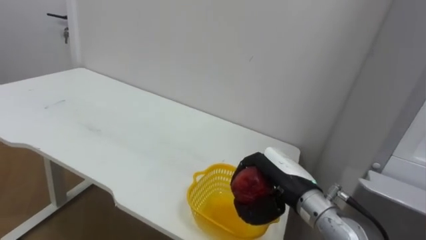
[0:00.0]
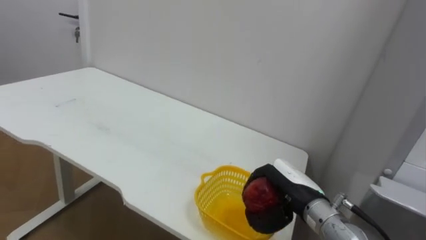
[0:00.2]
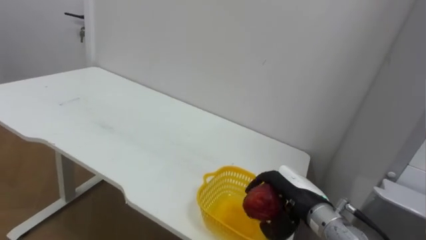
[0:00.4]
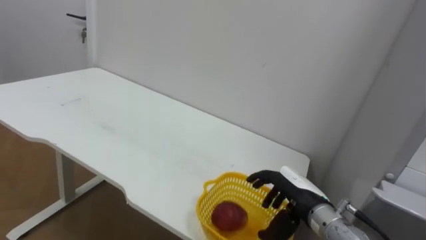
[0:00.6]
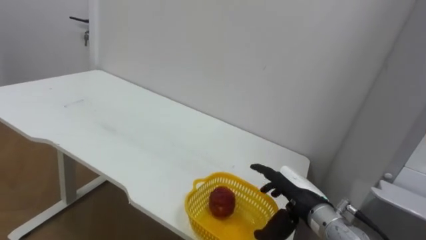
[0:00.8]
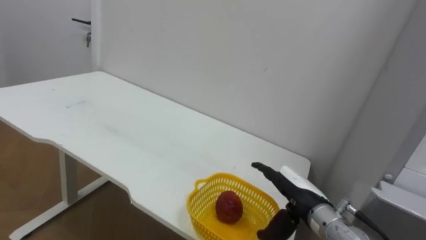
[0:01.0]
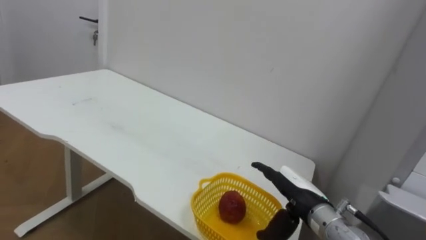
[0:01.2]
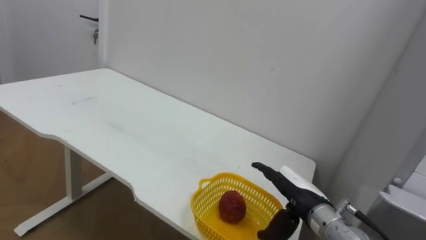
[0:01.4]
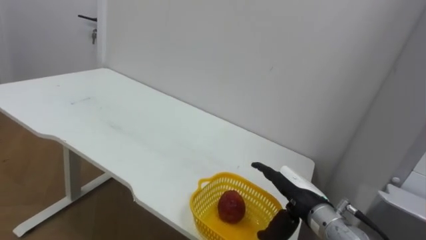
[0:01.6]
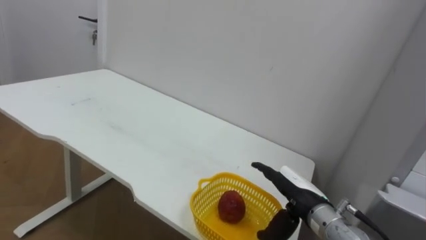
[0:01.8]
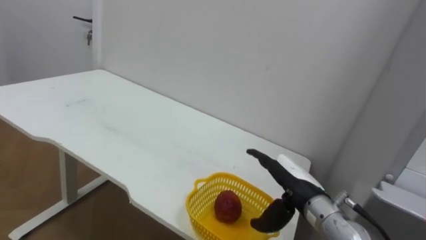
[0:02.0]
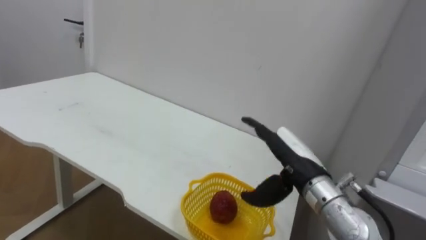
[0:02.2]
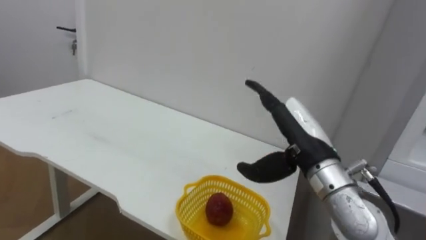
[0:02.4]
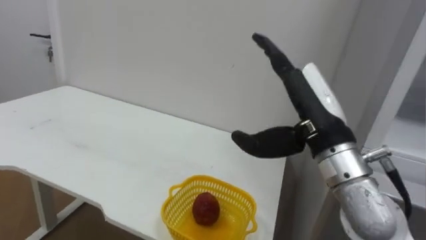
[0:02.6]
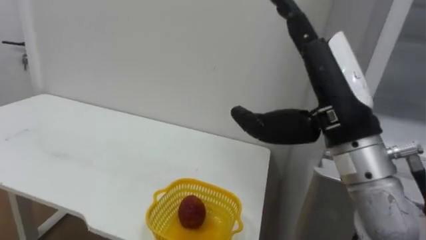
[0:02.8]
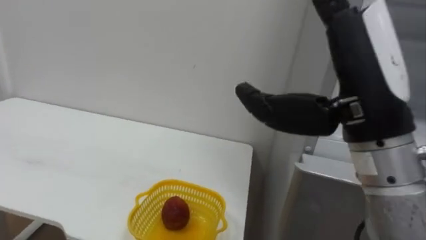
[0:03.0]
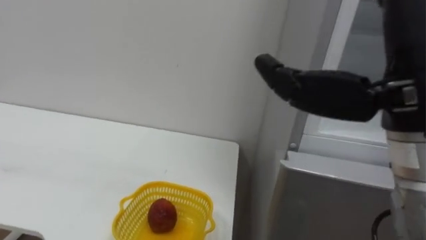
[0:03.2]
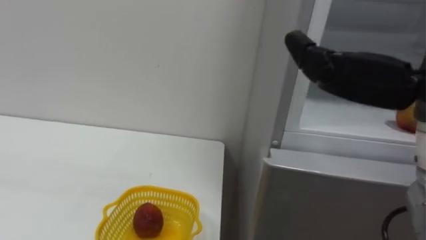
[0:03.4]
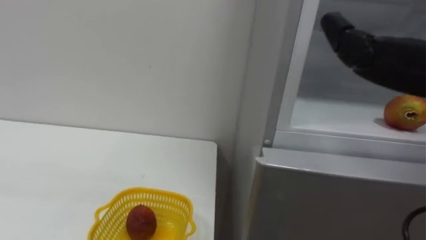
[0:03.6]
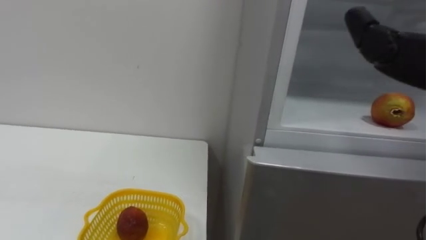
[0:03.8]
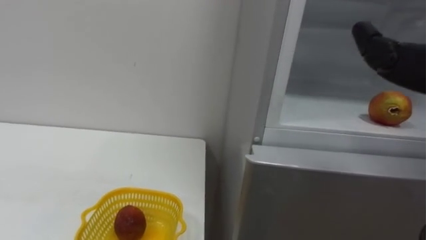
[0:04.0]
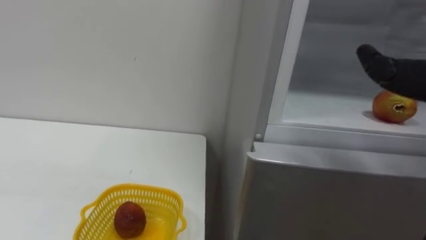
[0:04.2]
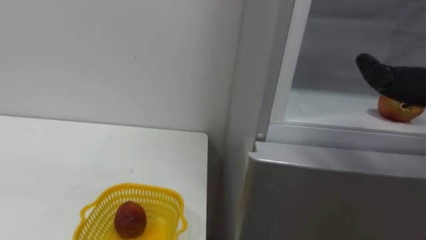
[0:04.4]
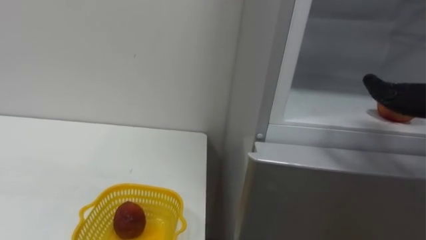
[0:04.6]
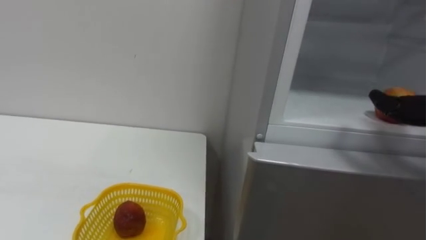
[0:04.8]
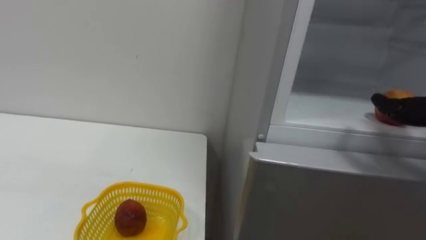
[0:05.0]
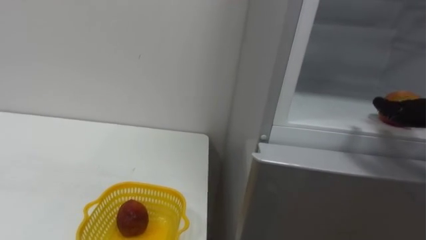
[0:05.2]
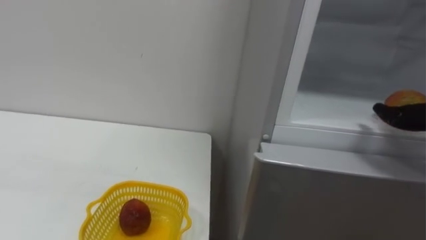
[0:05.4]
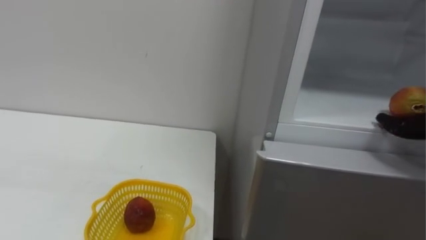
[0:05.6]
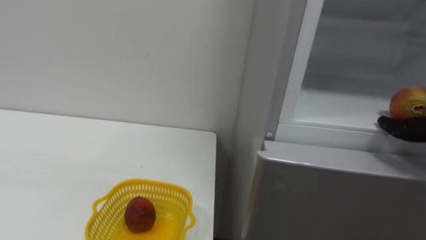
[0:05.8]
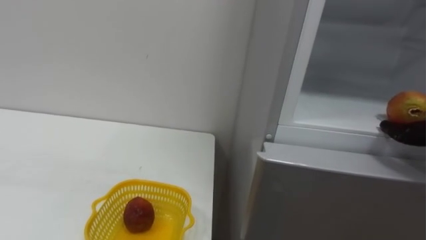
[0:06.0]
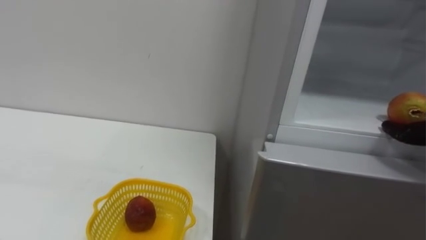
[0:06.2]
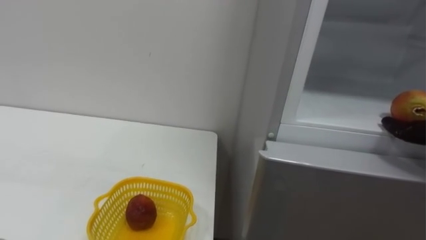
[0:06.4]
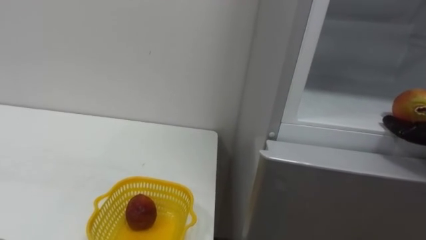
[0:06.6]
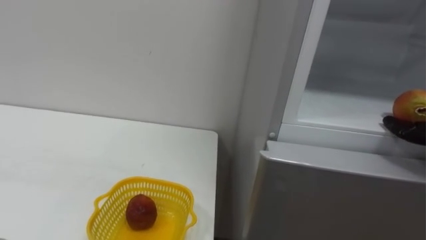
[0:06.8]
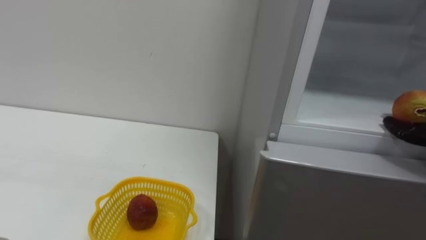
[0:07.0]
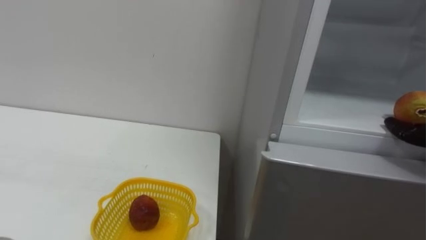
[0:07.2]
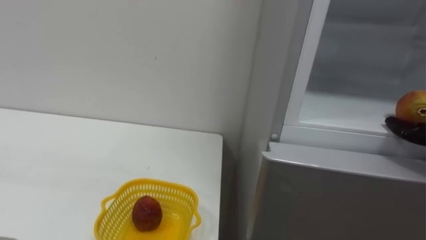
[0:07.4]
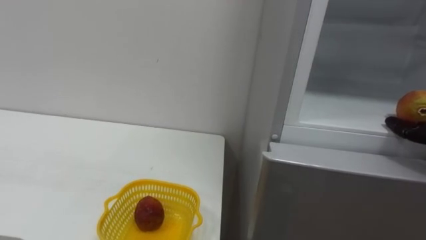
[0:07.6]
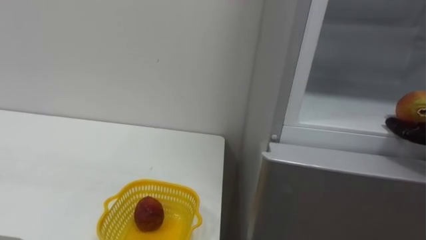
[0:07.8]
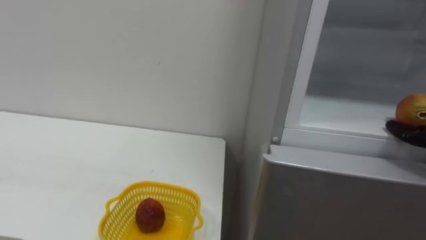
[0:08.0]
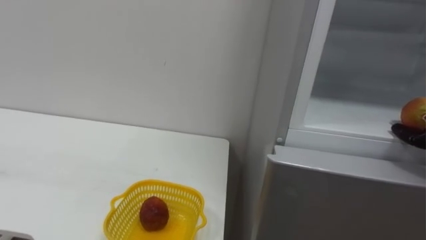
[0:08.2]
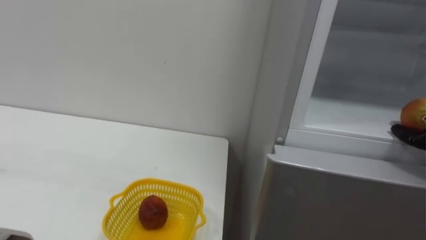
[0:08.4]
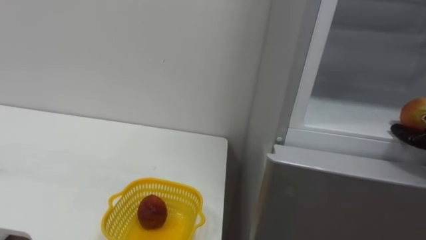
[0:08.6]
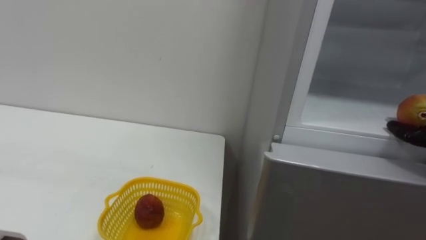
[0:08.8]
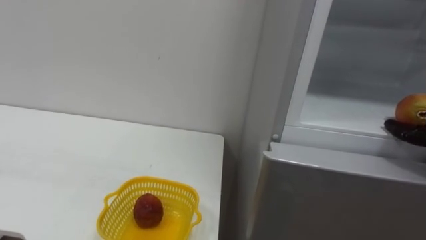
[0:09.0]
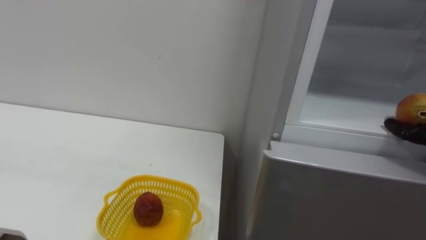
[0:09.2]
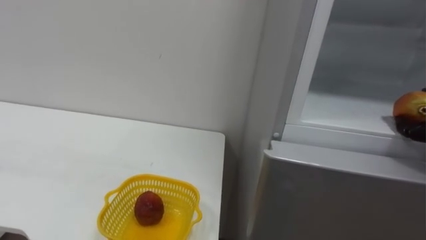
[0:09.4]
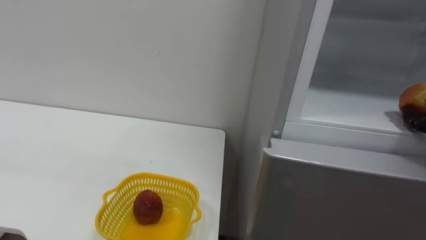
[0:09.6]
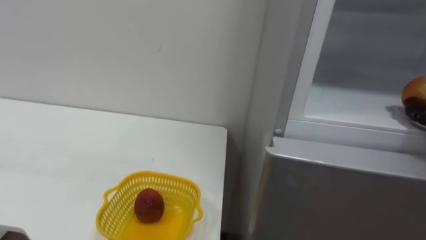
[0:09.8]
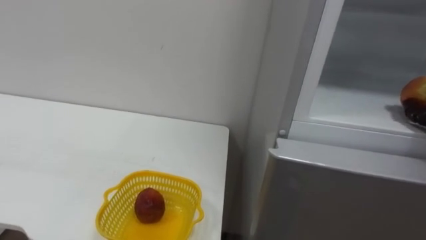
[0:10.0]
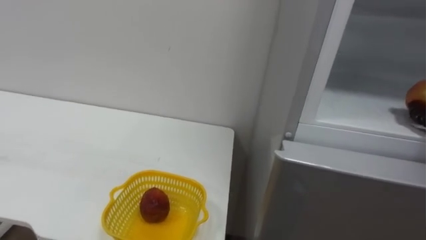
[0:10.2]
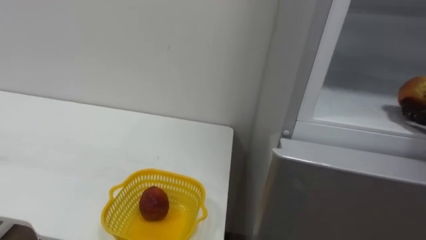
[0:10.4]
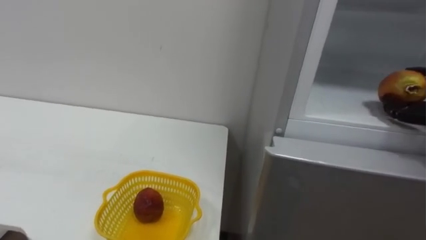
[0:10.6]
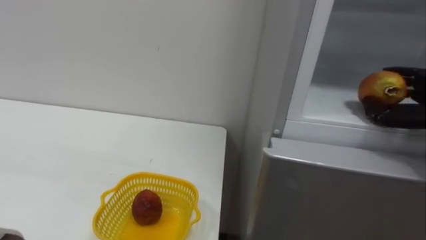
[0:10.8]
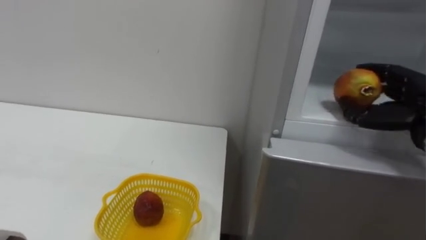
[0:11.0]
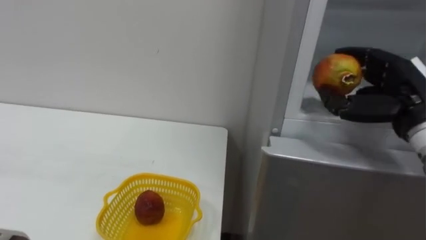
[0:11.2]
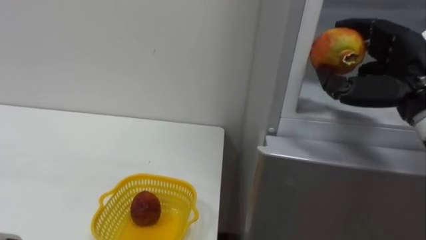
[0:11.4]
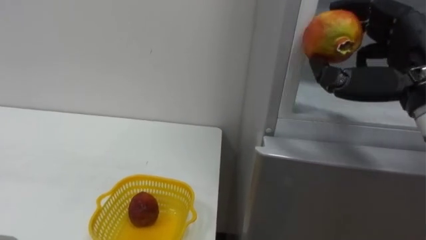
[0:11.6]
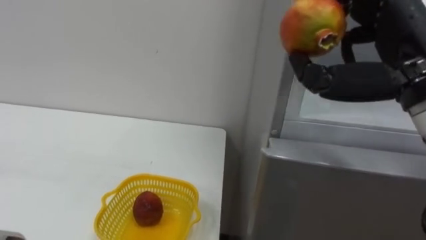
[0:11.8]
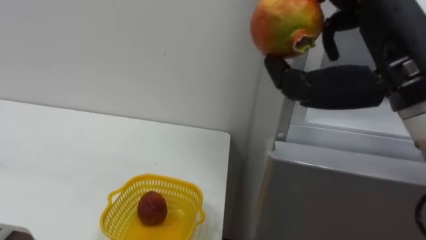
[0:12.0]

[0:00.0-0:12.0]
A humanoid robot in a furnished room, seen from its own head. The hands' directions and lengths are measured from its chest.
Task of the whole recording: Open the refrigerator door, take out the apple and the pomegranate, place them in the fruit basket on the left, and close the refrigerator door.
0:00.0 to 0:01.6: The right hand shifts by some 5 cm, and opens its fingers.
0:01.6 to 0:03.0: The right hand shifts roughly 30 cm upward and backward.

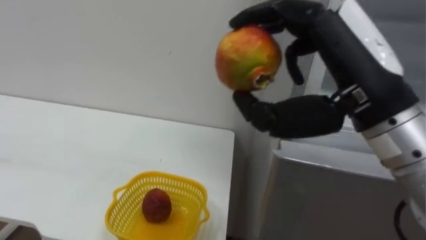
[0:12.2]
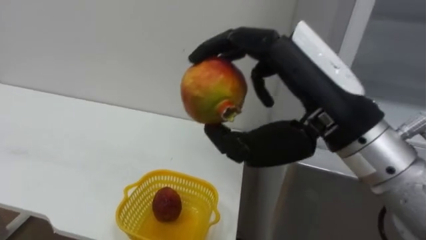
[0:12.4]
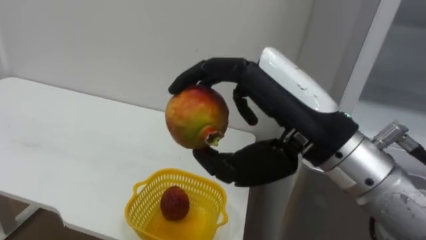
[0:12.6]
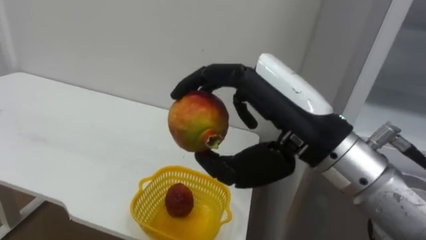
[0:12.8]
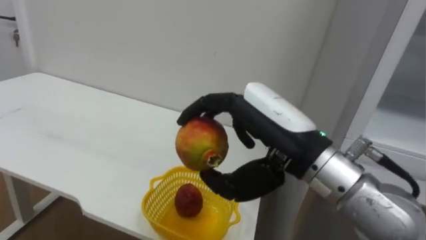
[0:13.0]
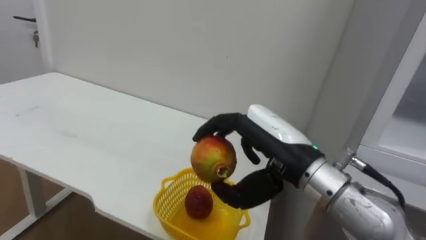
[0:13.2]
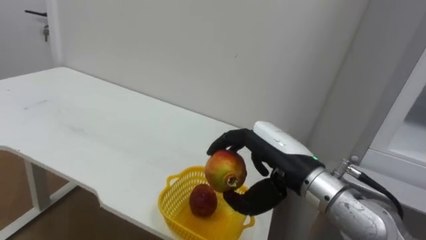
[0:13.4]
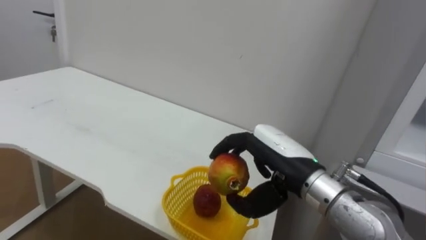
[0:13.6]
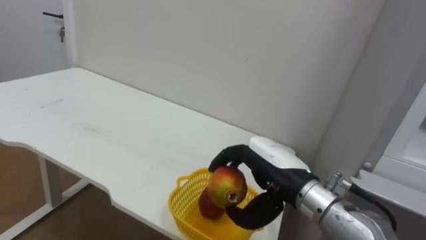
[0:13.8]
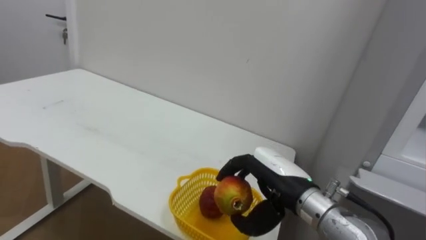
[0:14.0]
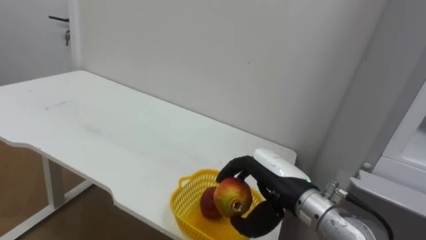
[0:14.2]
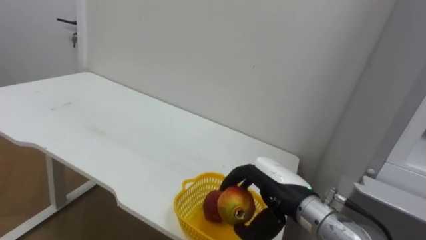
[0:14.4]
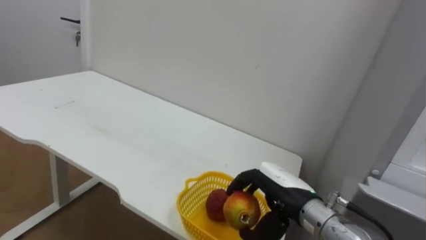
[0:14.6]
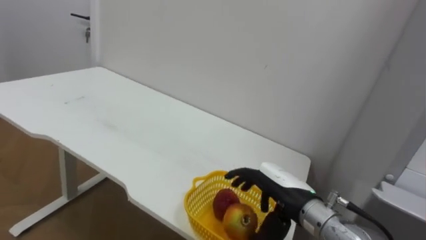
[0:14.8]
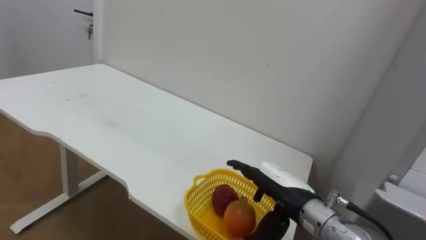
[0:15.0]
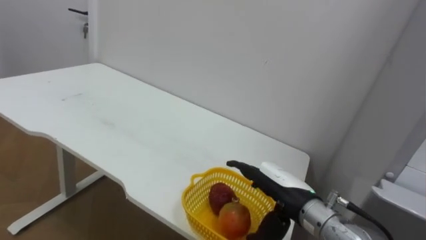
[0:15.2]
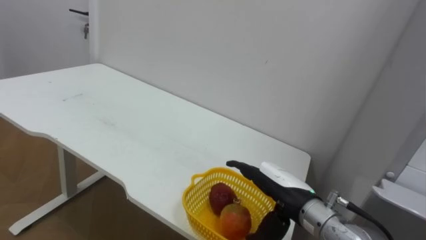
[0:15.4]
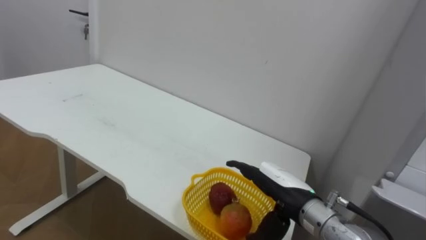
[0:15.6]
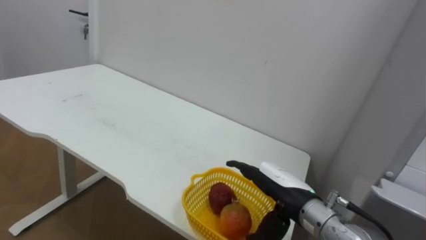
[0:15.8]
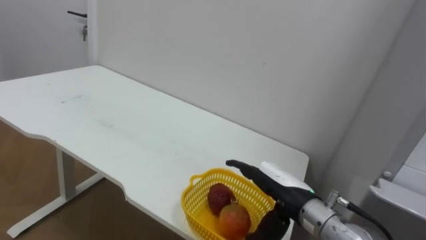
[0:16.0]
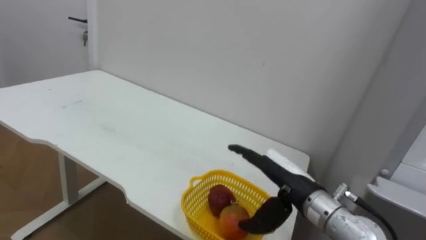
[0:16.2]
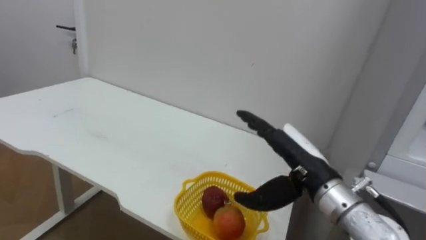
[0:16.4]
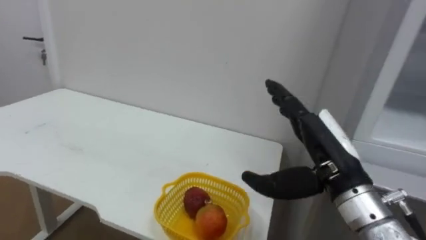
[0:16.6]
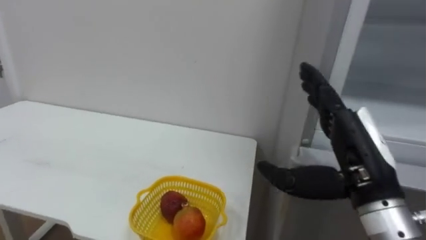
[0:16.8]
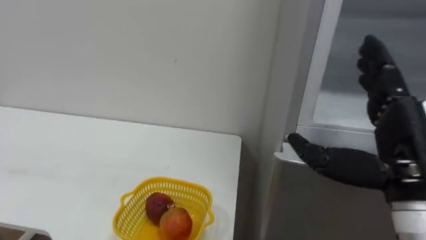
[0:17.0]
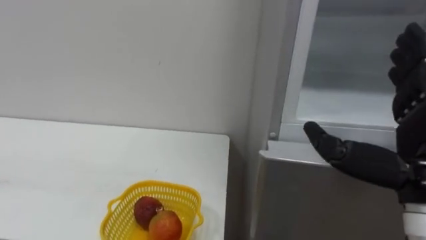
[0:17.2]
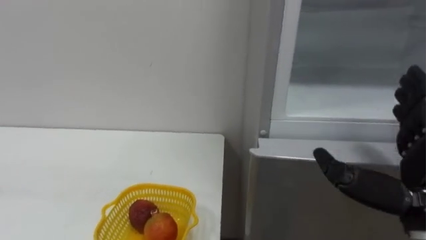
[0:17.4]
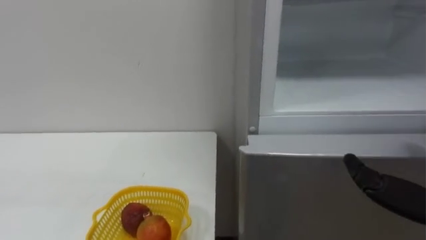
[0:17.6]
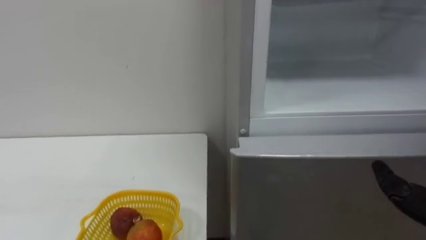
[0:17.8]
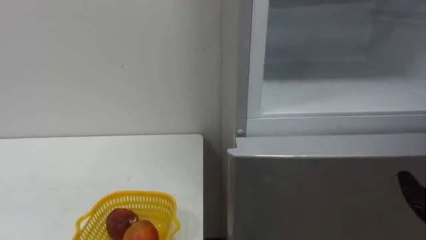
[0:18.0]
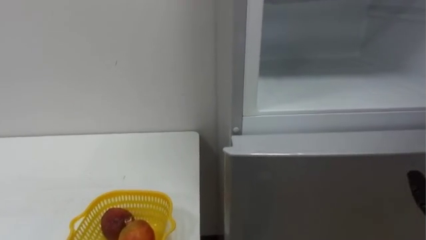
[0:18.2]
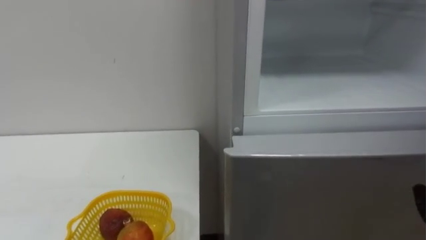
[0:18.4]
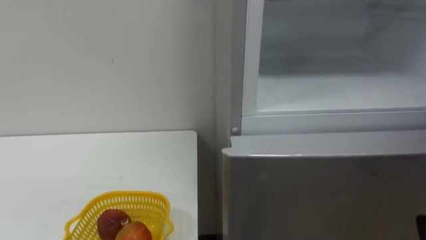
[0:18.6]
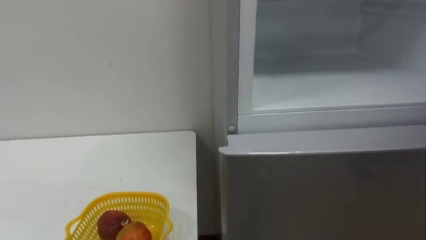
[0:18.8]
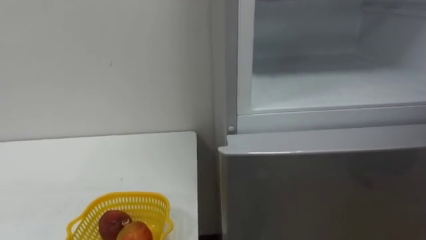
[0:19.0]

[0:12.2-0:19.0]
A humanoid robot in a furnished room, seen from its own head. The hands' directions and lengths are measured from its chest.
Task of the whole recording: Open the refrigerator door, take out the apple and the pomegranate, place them in the fruit basket on the left, and close the refrigerator door.
0:12.2 to 0:13.6: The right hand shifts roughly 15 cm downward and forward.
0:13.6 to 0:15.0: The right hand moves downward, approximately 10 cm, and opens its fingers.
